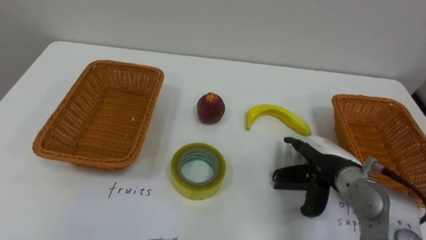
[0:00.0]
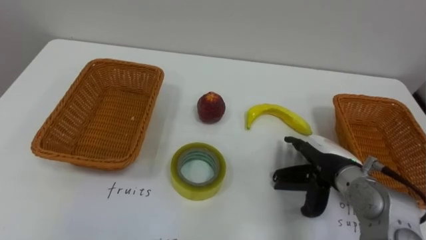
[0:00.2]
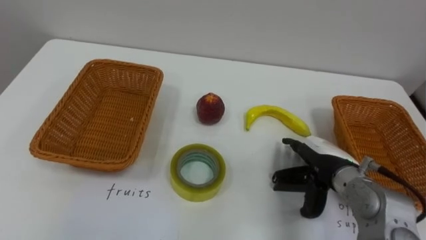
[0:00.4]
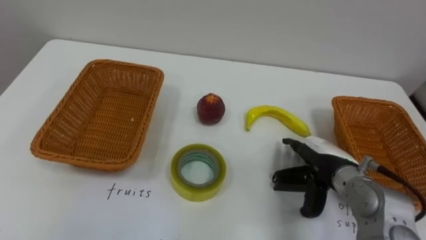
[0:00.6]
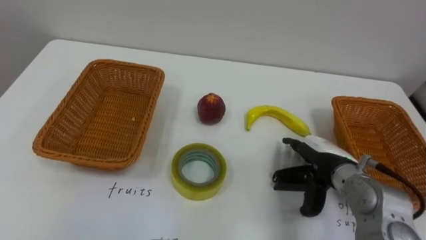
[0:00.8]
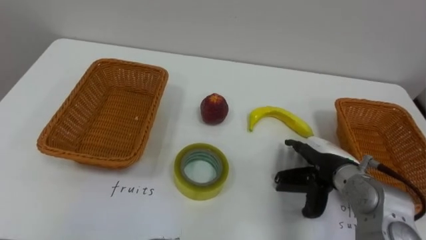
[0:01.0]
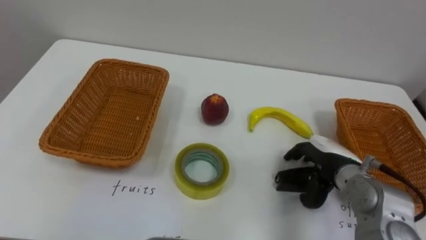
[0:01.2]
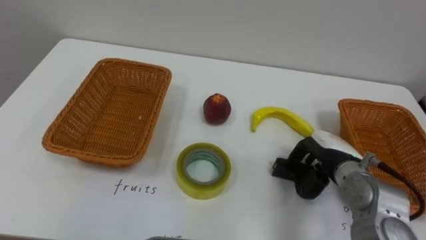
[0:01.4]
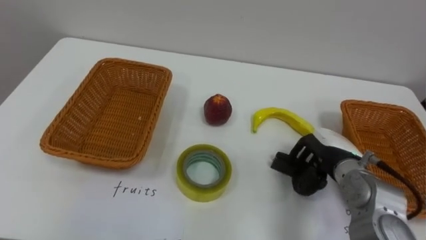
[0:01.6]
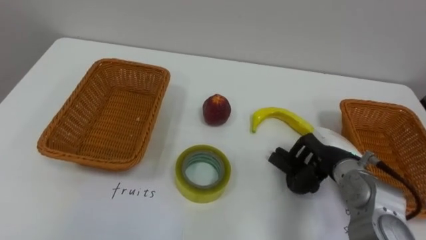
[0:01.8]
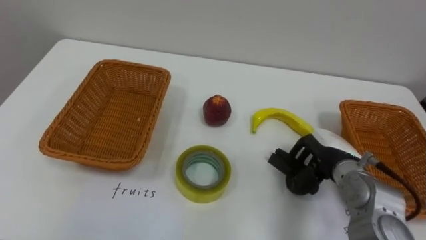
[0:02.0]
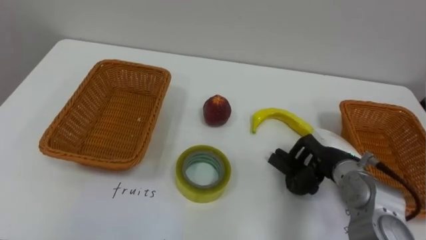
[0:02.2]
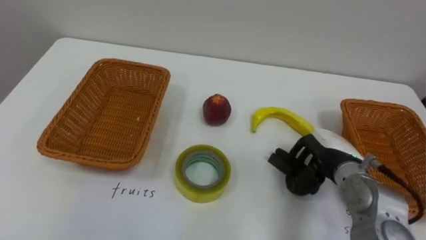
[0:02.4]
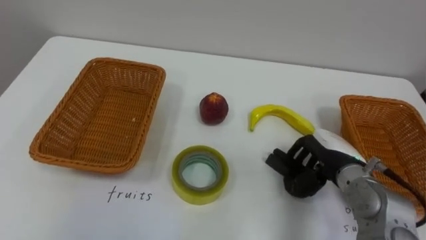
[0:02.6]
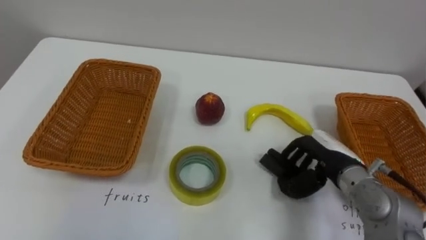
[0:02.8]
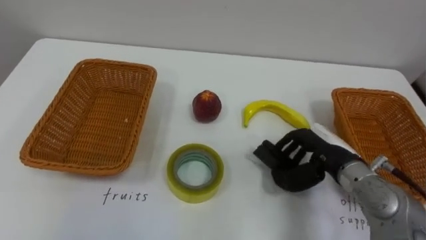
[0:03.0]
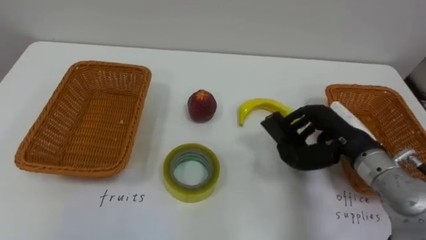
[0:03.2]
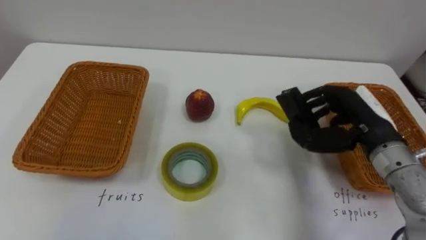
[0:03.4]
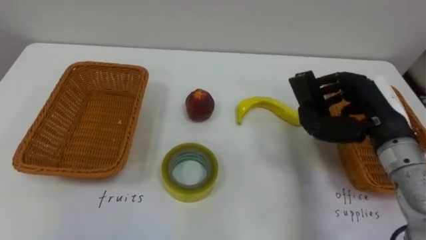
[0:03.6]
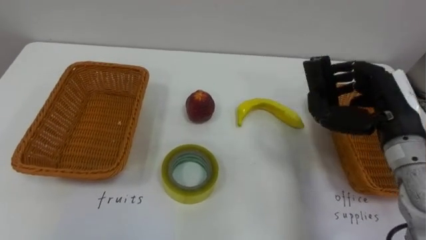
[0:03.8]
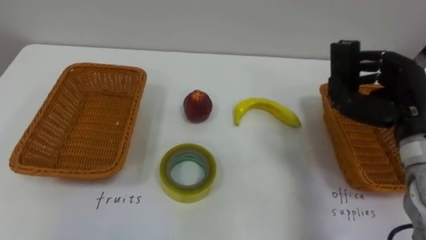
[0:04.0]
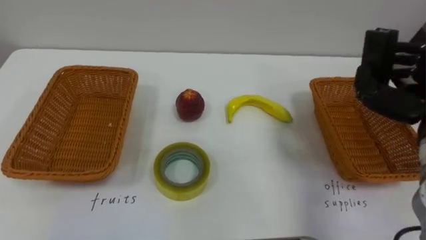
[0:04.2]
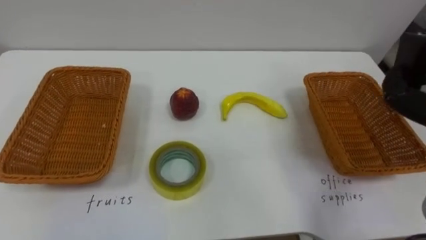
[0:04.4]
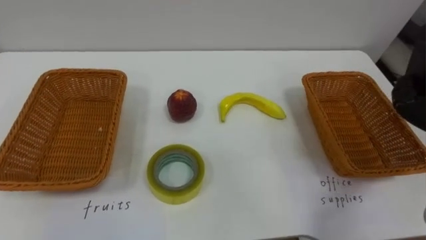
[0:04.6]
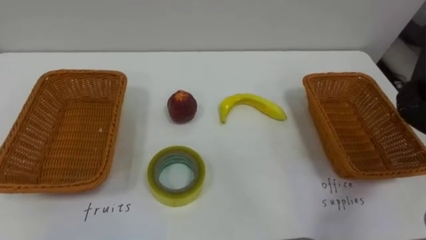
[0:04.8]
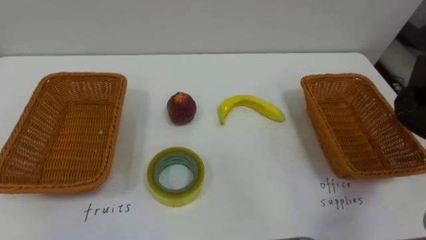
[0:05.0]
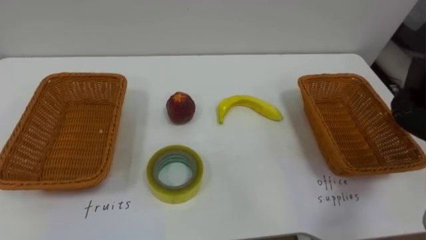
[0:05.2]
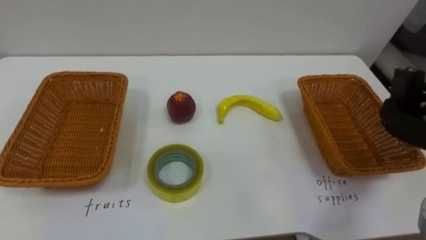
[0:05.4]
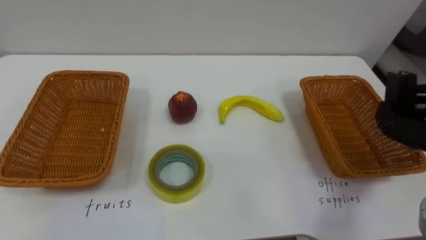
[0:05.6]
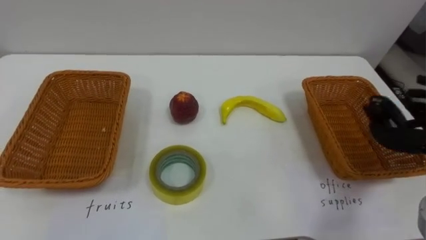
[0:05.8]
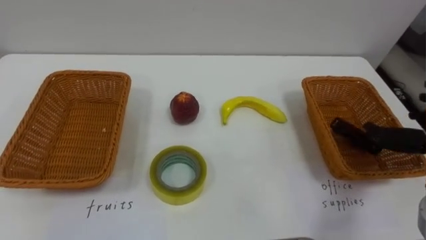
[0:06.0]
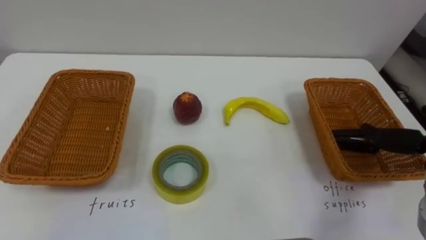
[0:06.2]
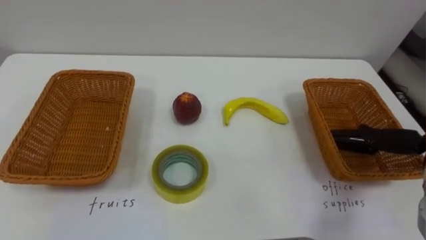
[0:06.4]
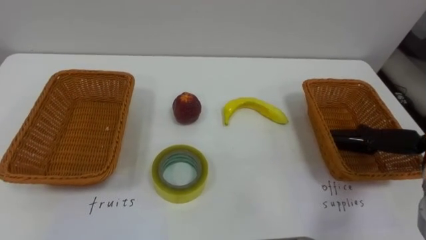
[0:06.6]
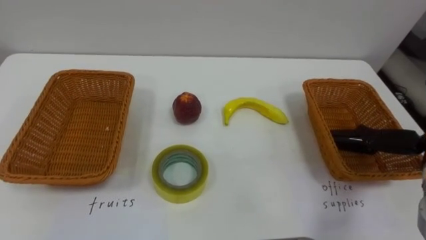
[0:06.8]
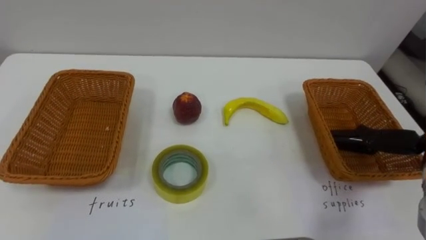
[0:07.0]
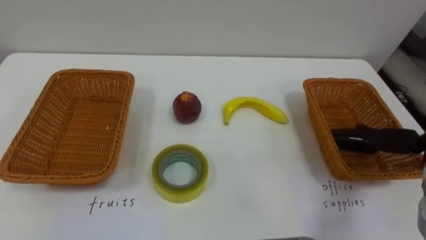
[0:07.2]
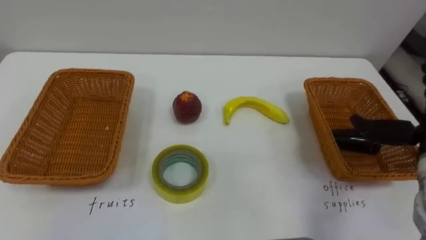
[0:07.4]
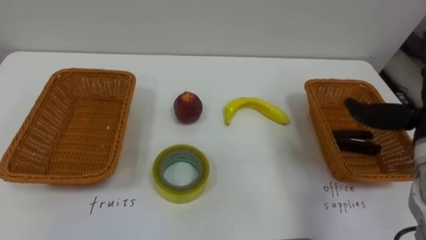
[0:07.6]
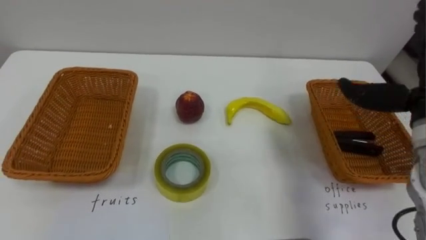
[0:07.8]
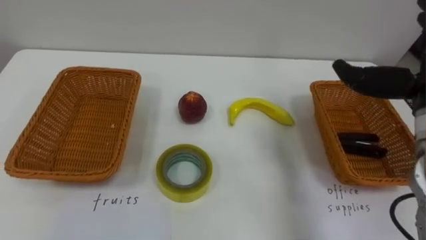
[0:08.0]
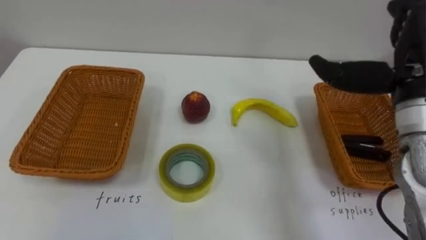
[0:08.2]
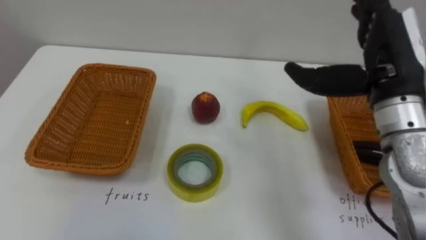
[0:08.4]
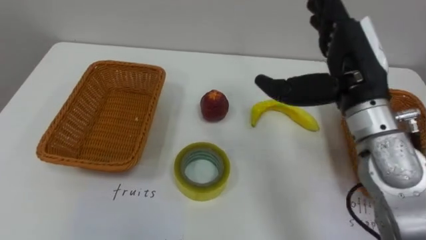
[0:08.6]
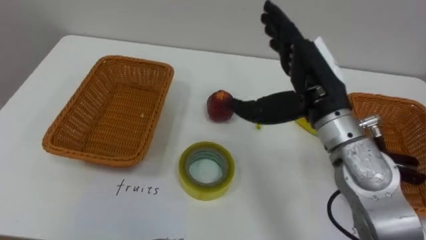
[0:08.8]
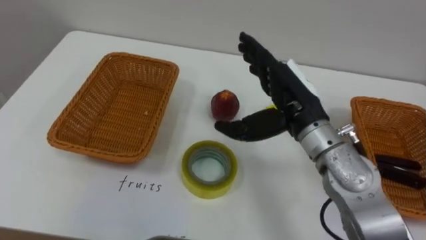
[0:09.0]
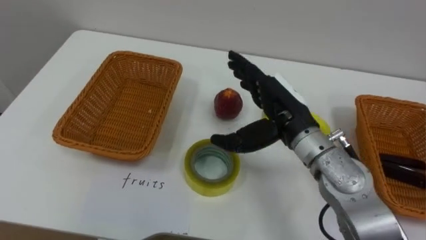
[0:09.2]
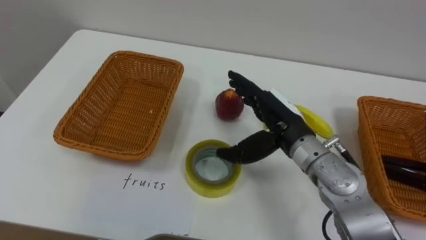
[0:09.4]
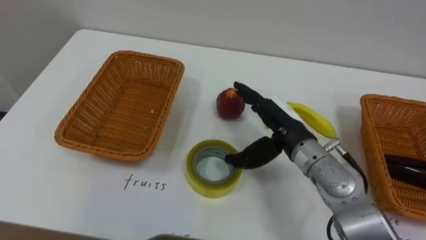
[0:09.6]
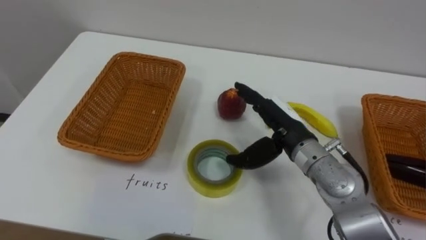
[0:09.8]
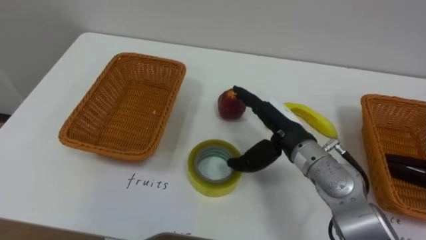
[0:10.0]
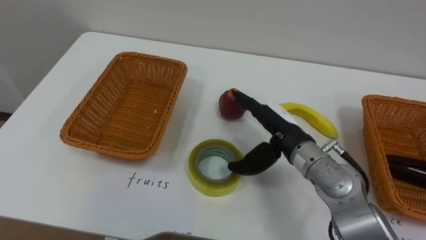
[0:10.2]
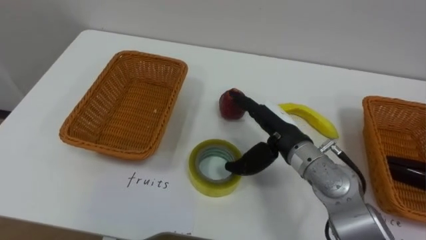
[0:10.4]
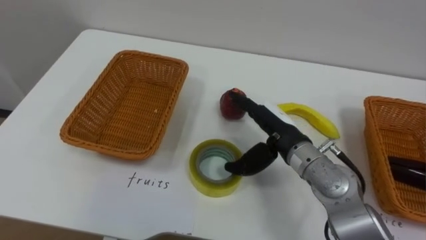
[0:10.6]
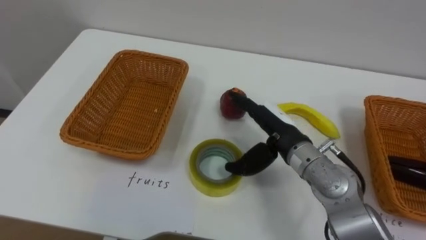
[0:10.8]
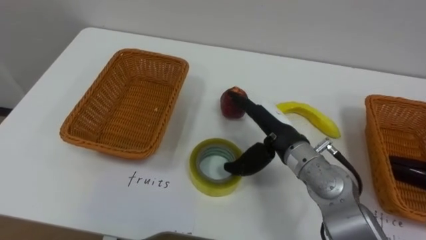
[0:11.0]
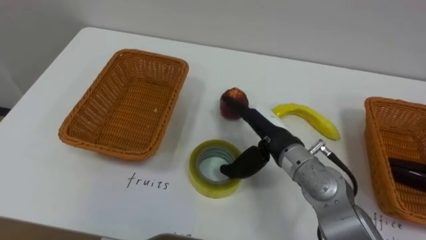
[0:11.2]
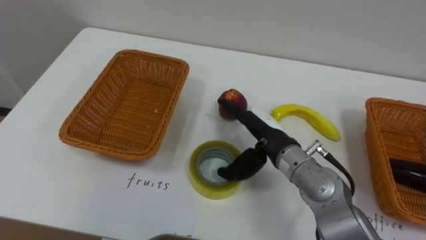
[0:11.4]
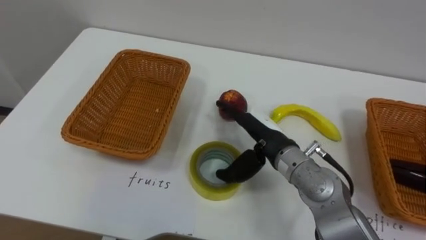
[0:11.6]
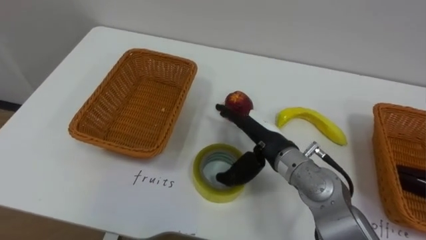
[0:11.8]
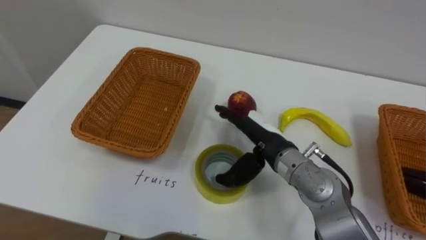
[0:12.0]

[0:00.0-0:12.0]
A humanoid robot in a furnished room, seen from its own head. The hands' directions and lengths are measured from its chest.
Task of the whole recording: Separate the items on the table and place them into the two baskets.
0:00.0 to 0:01.6: The right hand closes.
0:09.0 to 0:10.4: The right hand shifts some 10 cm downward.

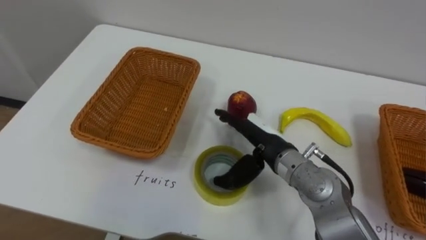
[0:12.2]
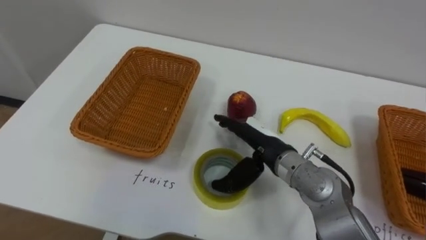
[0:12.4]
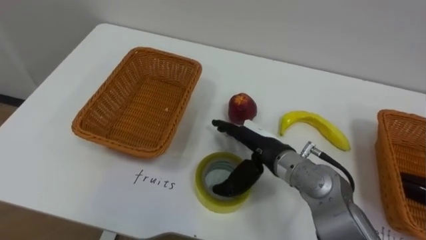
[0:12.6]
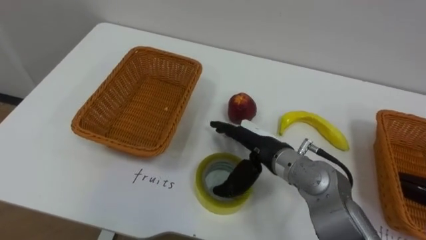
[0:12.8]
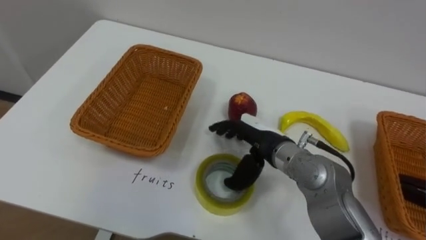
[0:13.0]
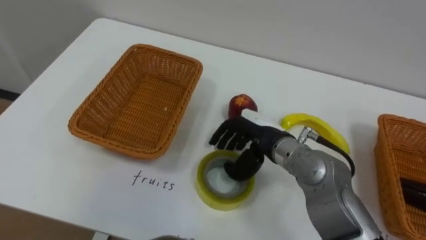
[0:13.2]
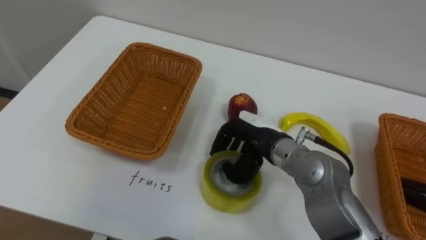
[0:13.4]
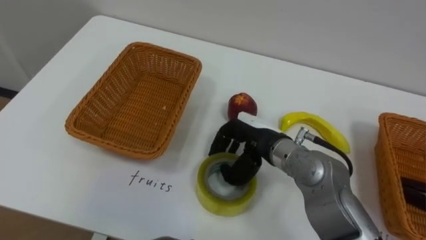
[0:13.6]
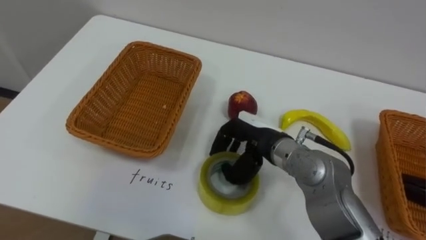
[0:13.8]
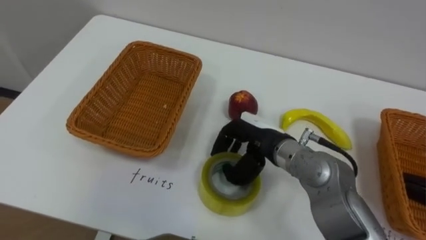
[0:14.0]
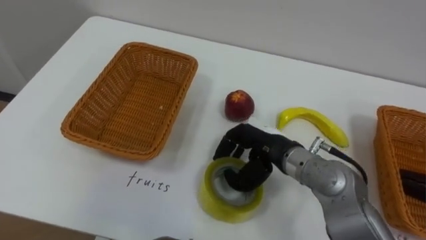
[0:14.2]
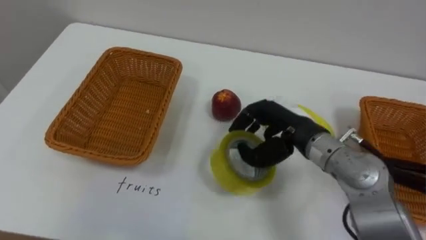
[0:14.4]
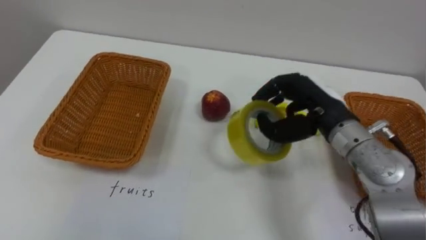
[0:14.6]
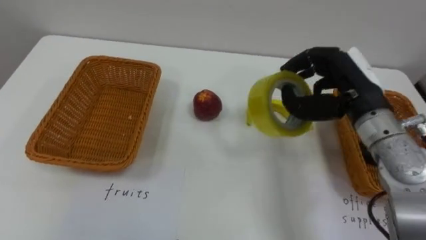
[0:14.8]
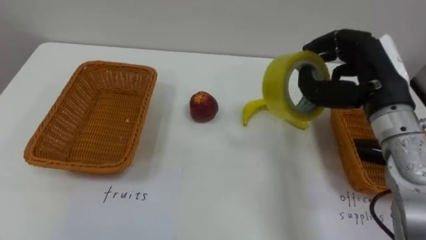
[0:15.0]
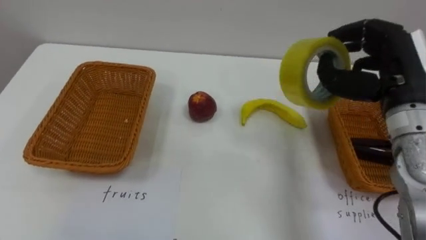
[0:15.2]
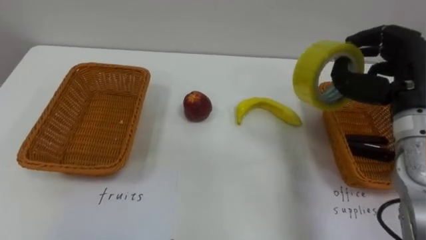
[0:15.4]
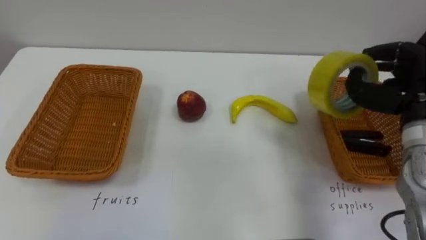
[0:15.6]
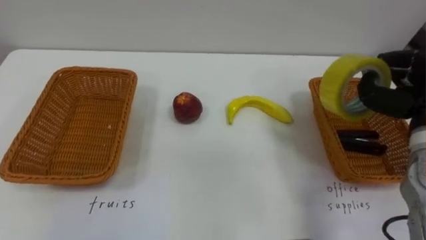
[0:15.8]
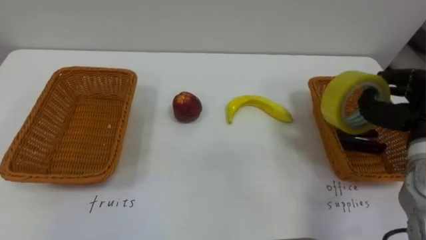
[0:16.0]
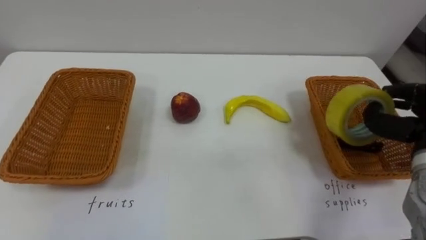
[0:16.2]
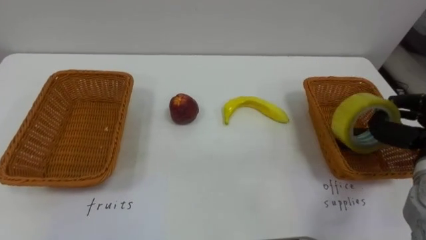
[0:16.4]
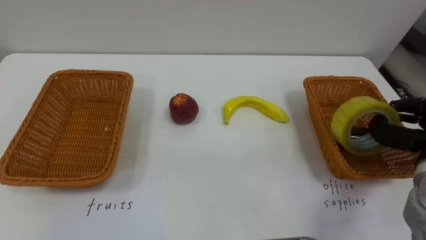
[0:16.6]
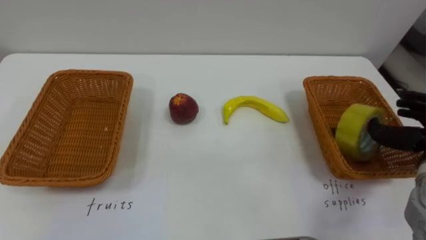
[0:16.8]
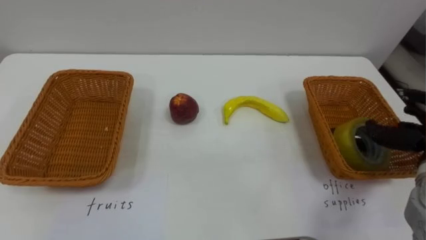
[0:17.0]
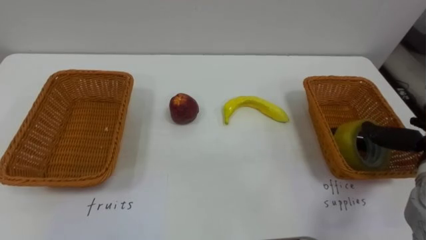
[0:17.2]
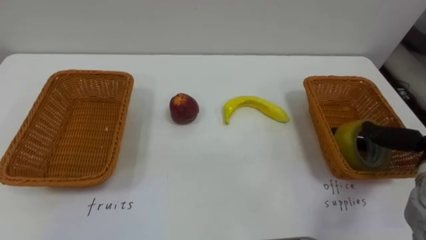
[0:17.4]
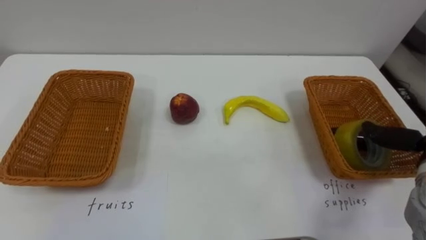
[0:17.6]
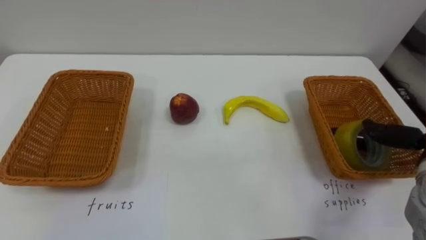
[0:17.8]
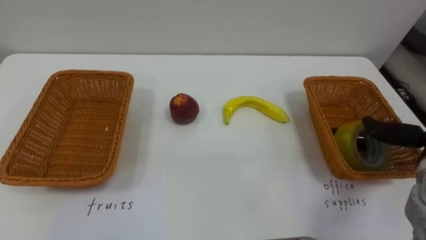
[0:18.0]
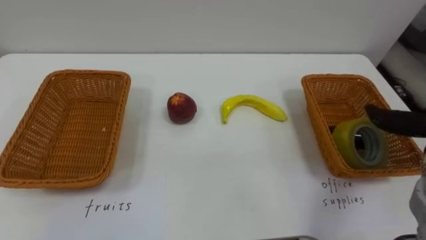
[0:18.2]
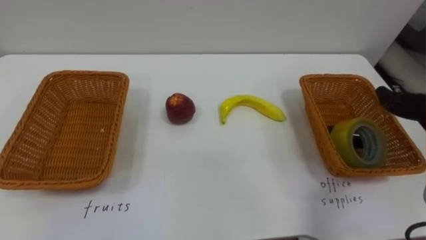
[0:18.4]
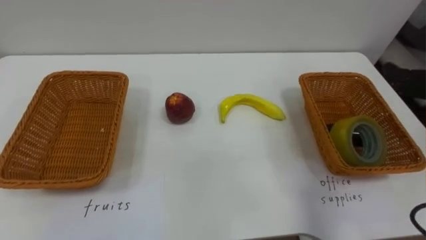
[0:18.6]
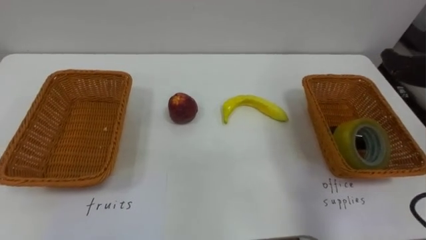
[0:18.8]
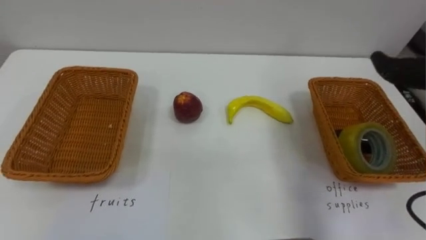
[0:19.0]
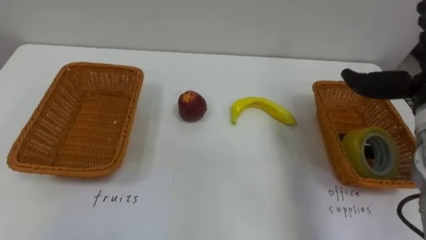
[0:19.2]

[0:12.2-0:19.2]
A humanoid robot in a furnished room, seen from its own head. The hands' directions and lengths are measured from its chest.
Task of the whole recording: Separate the items on the table and place them into the two baskets.
0:12.2 to 0:13.6: The right hand closes.
0:13.6 to 0:15.0: The right hand is displaced to the right and upward by roughly 20 cm.
